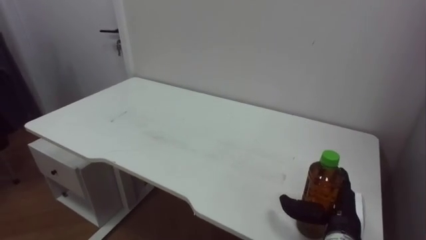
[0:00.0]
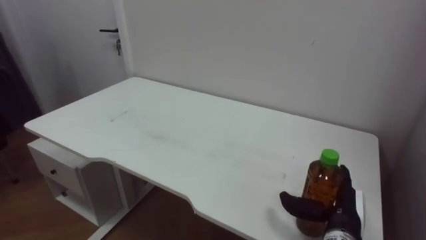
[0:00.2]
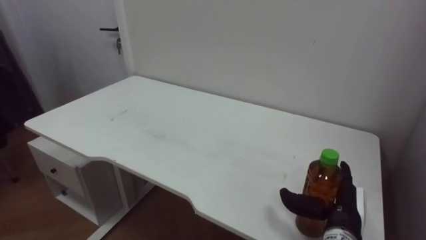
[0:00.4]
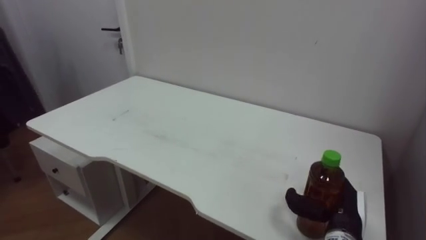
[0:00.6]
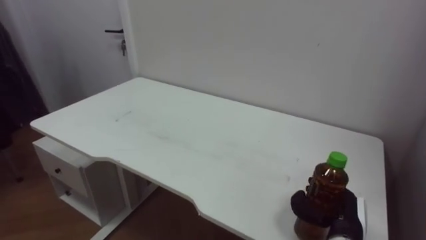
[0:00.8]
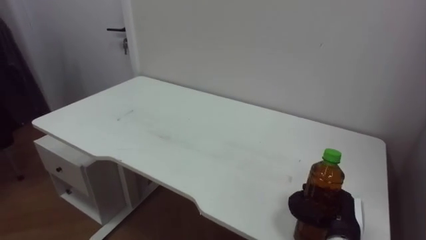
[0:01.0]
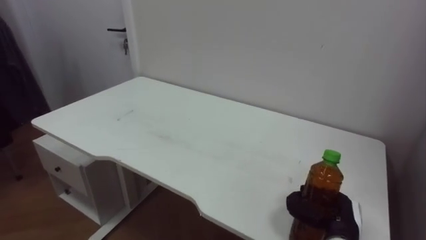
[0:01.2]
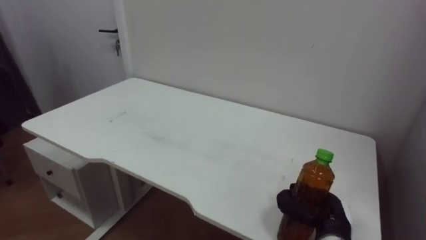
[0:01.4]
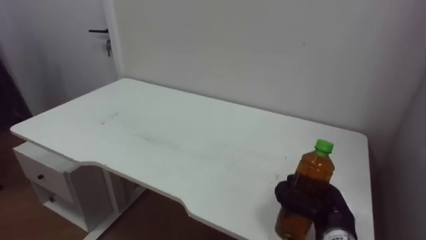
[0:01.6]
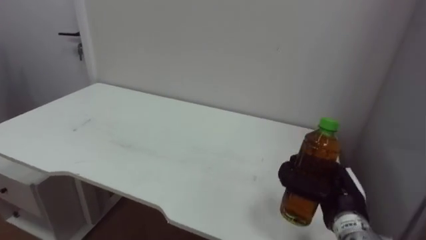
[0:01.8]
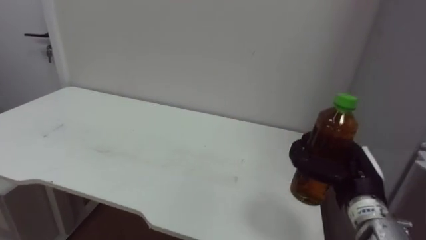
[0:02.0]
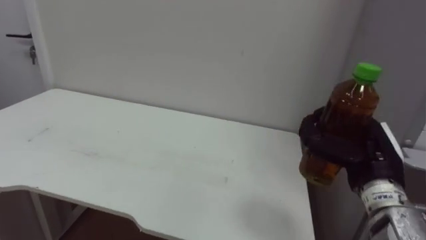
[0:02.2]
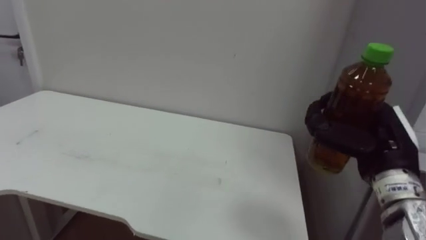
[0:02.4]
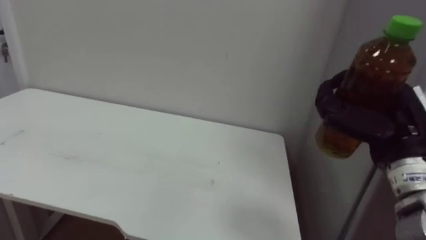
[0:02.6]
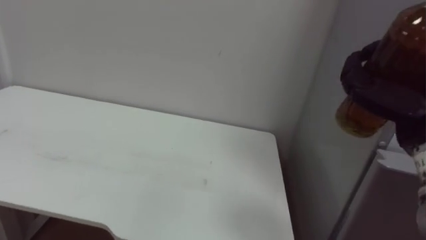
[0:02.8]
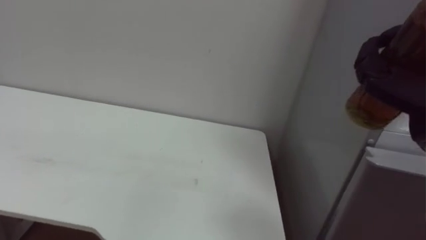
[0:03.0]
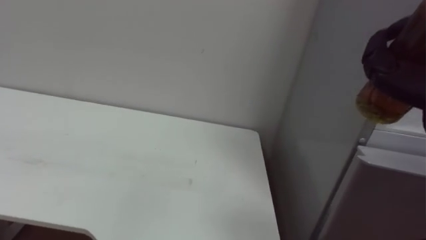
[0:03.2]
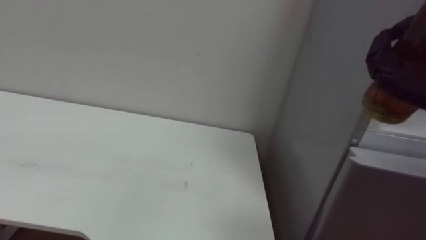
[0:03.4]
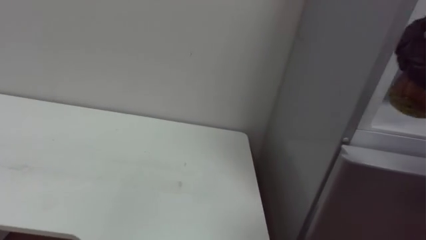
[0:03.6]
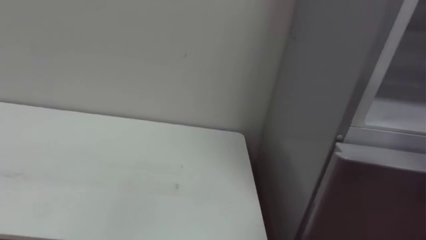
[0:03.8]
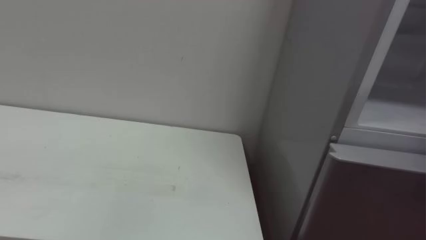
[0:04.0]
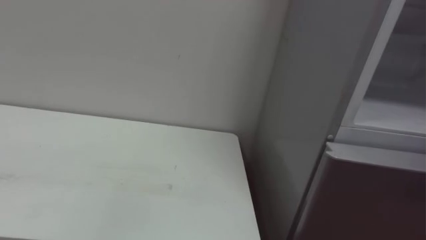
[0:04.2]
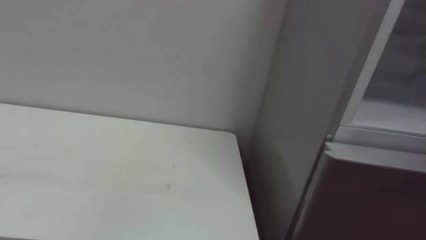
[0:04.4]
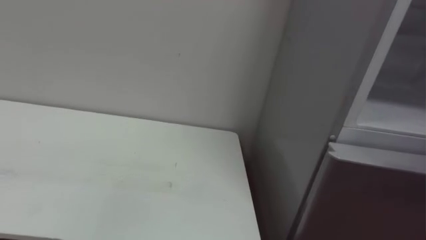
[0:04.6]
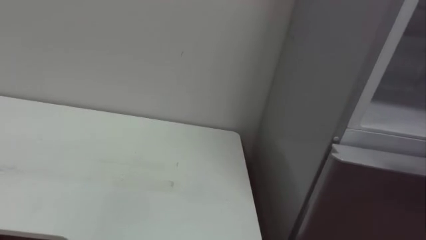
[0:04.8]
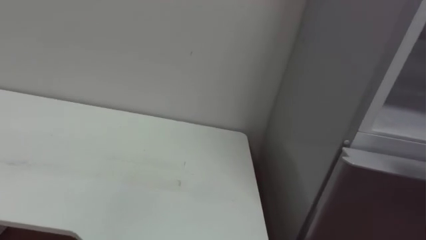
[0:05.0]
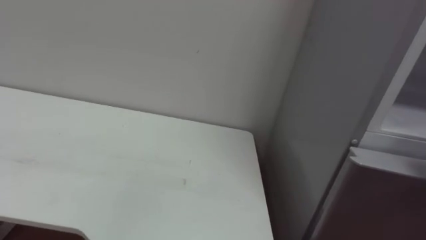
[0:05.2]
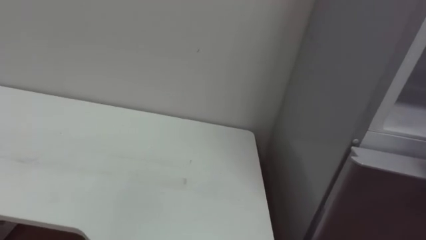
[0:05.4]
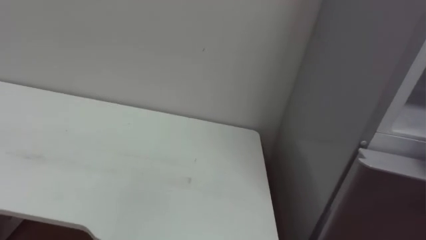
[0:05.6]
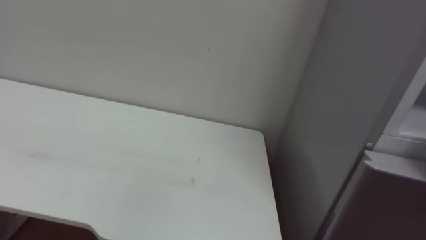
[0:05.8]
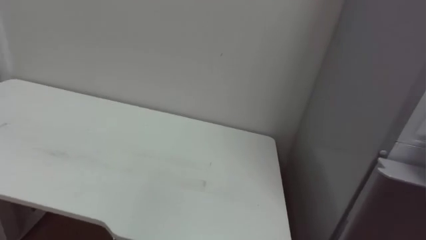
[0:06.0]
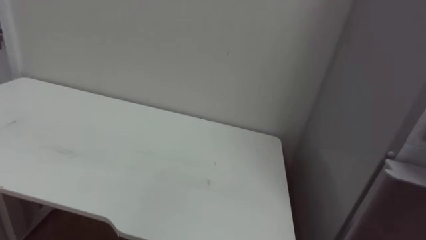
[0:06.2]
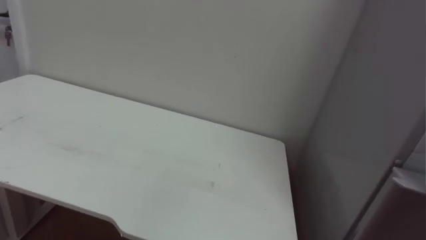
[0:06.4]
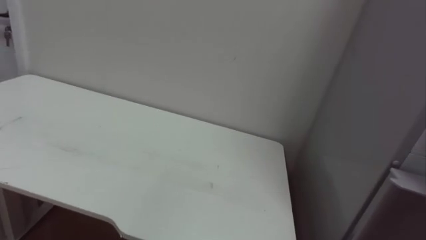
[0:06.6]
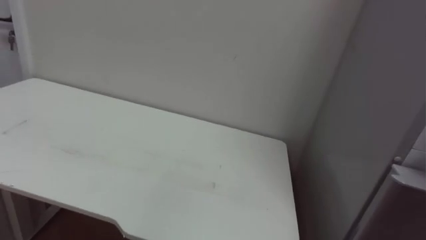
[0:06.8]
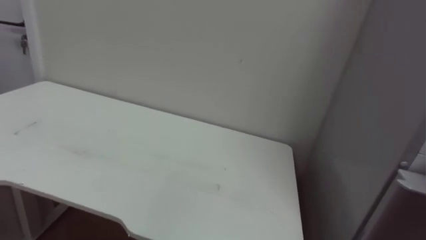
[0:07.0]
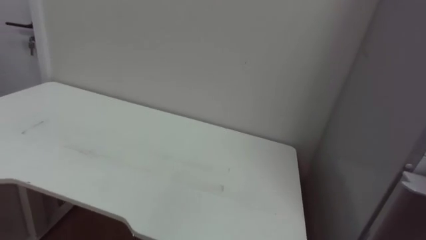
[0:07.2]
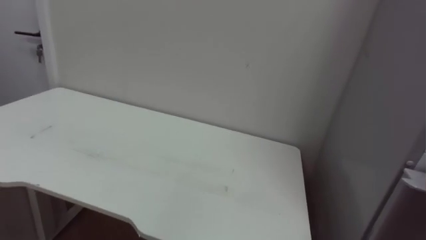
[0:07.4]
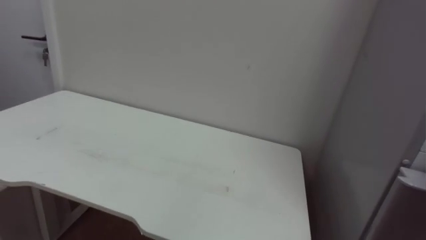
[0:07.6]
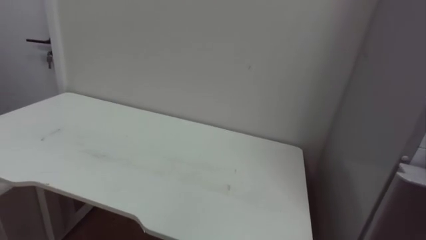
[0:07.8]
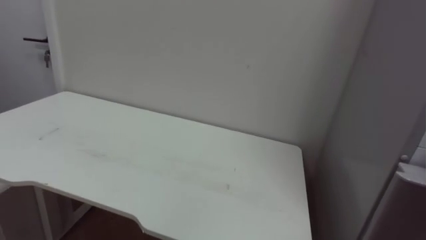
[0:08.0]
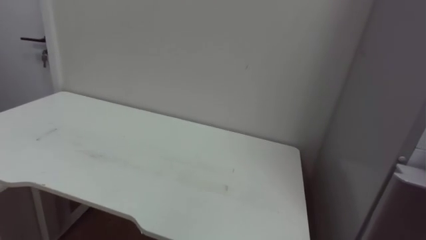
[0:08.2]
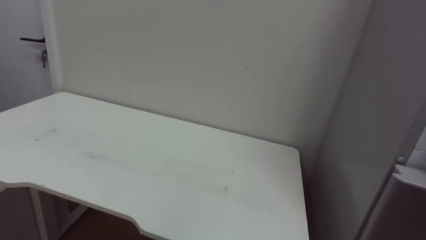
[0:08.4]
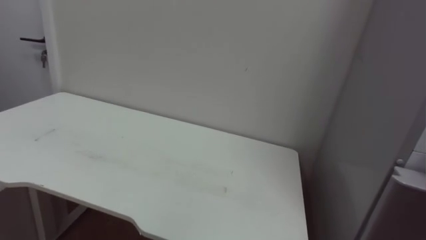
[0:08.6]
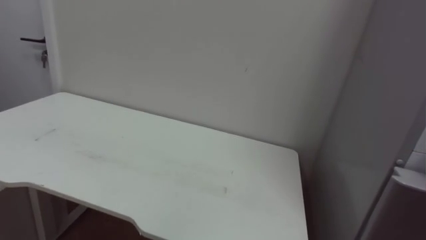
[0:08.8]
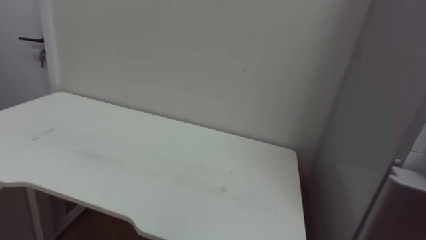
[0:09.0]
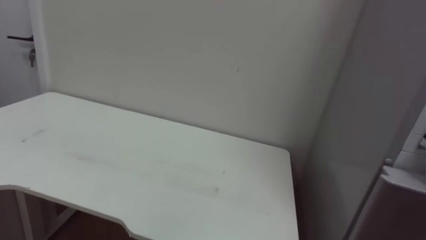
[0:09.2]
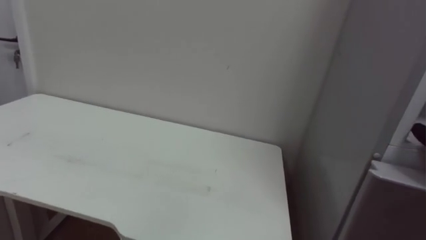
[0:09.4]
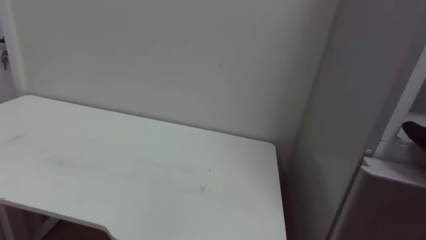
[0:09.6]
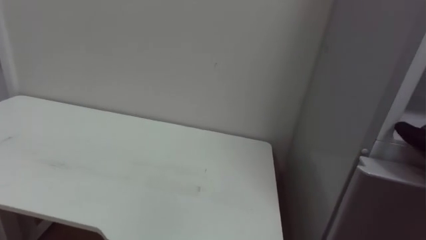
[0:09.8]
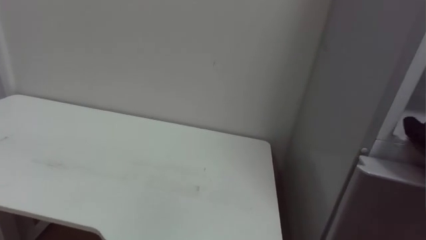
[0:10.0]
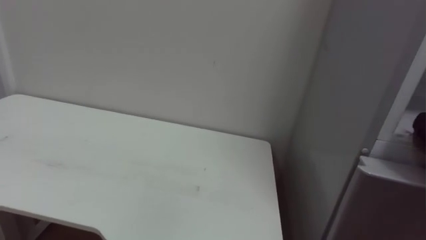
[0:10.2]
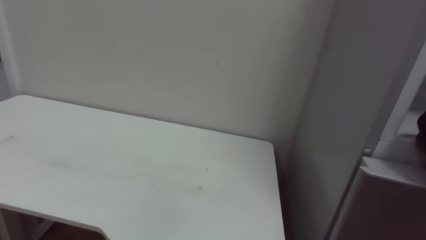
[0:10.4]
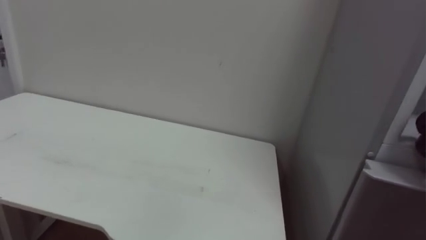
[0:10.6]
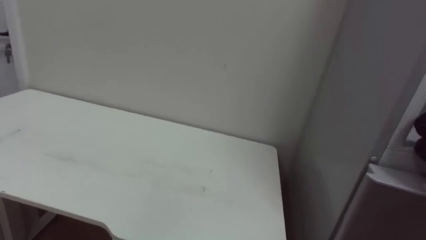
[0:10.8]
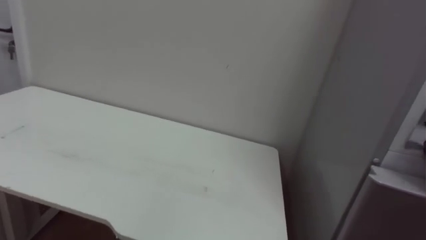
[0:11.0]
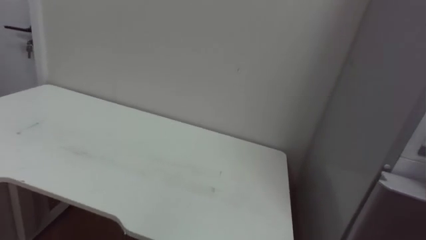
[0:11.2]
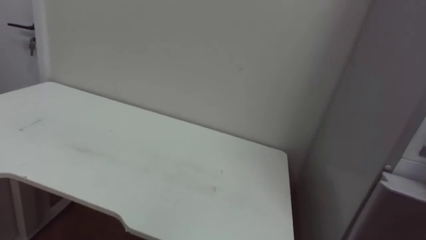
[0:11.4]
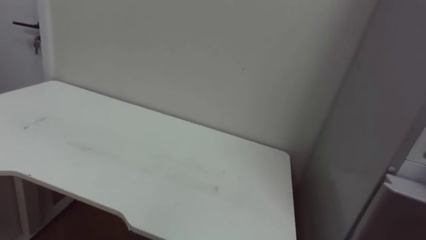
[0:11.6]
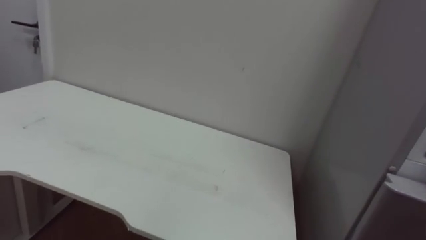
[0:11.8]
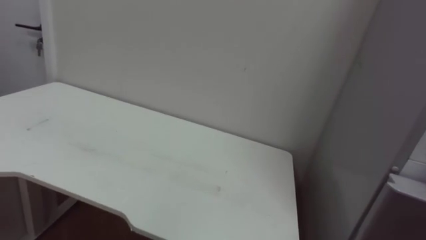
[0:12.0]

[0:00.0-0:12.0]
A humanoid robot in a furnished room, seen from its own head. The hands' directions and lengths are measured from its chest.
Task of the whole recording: Open the upper refrigerator door, put the drink from the table into the refrigerator, and then close the refrigerator door.
0:00.0 to 0:01.6: The right hand closes.

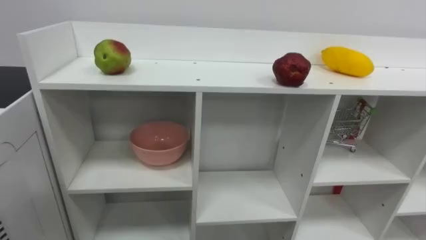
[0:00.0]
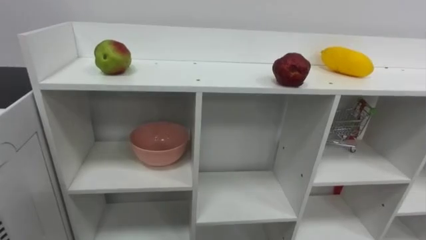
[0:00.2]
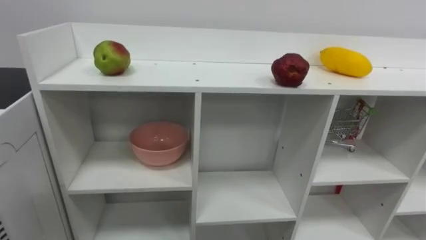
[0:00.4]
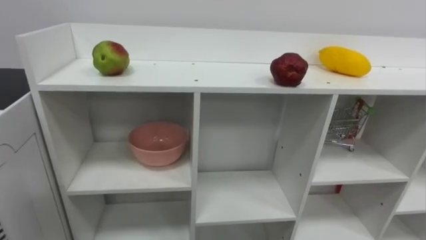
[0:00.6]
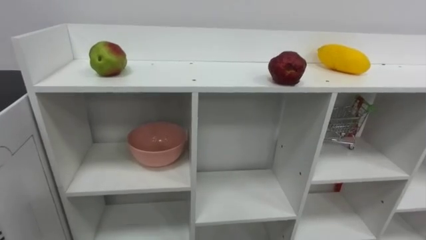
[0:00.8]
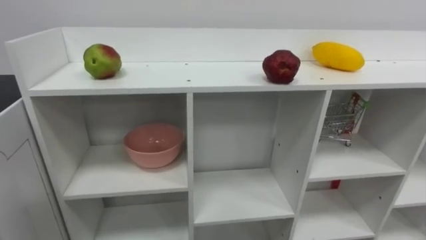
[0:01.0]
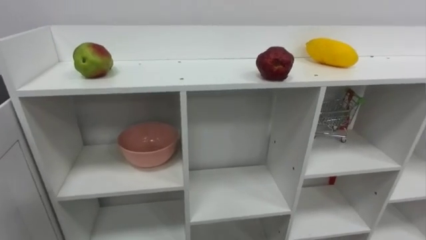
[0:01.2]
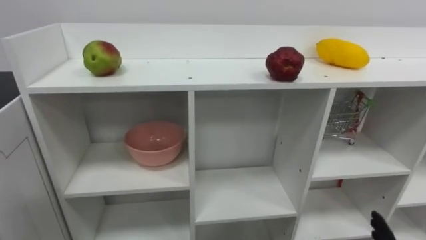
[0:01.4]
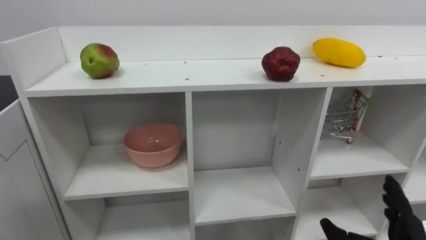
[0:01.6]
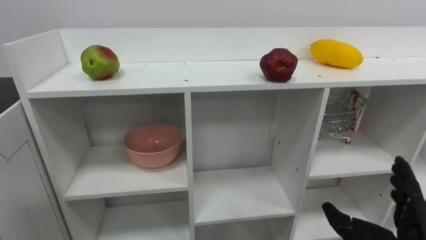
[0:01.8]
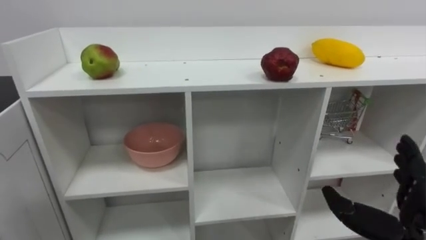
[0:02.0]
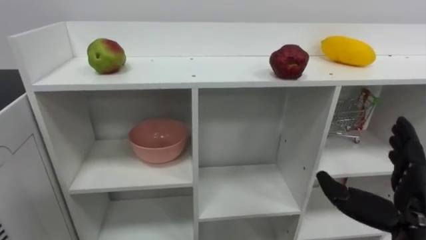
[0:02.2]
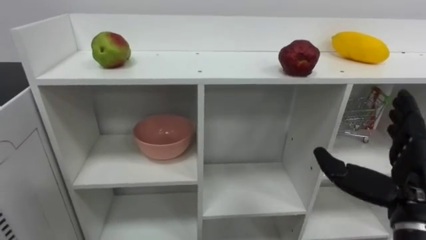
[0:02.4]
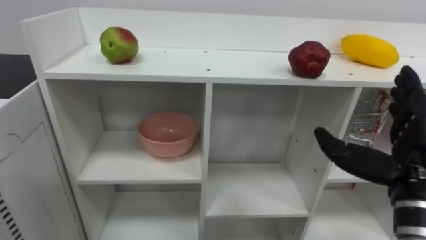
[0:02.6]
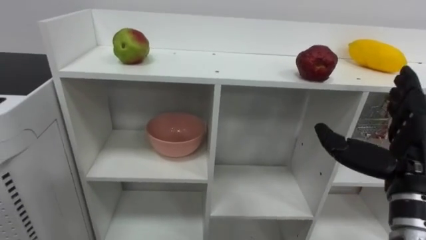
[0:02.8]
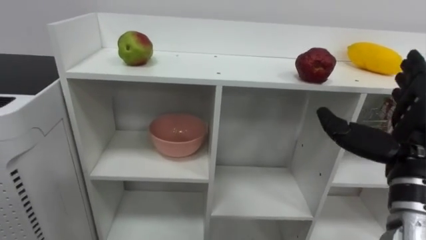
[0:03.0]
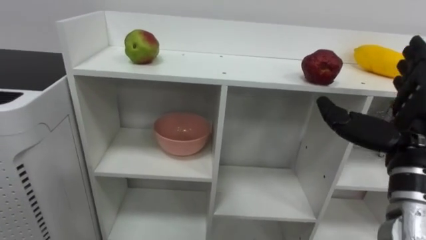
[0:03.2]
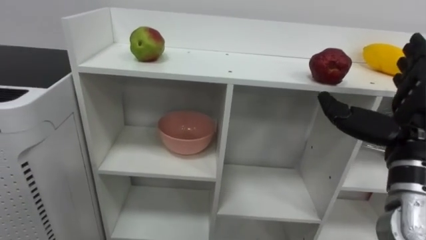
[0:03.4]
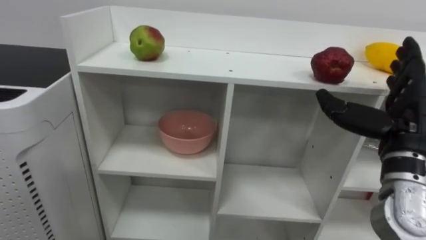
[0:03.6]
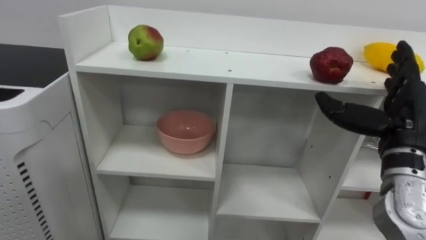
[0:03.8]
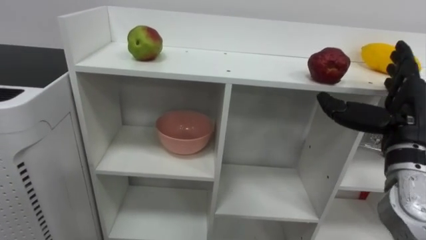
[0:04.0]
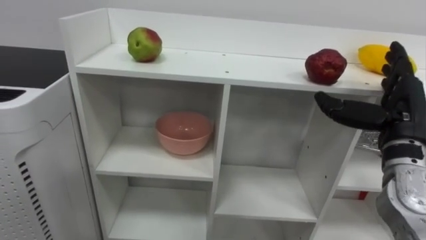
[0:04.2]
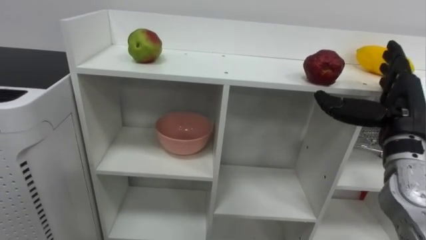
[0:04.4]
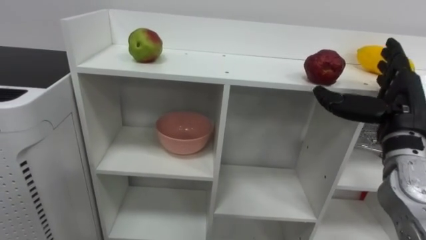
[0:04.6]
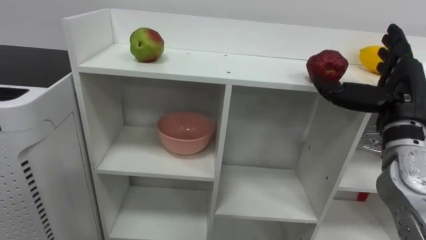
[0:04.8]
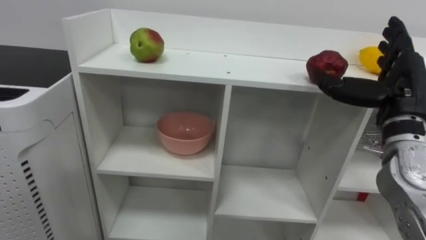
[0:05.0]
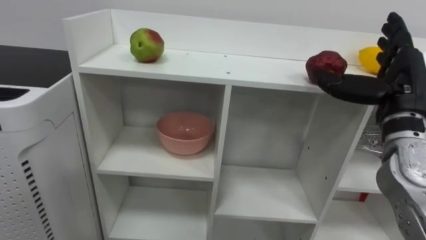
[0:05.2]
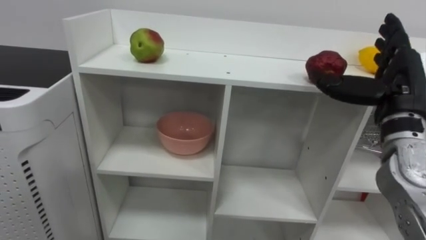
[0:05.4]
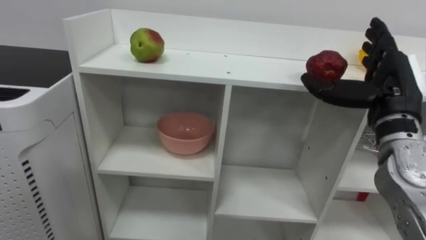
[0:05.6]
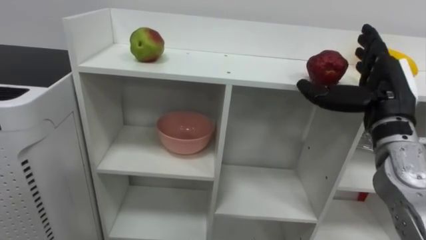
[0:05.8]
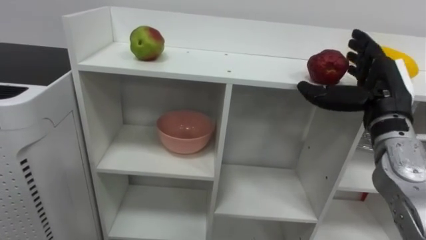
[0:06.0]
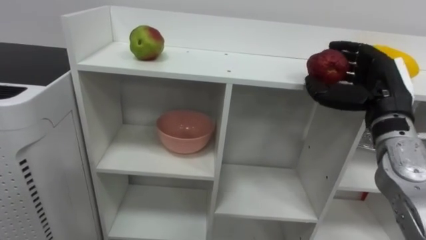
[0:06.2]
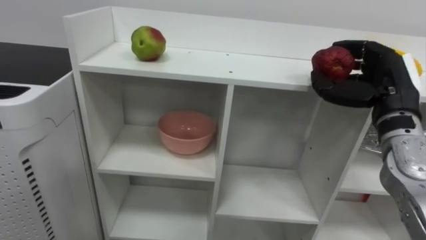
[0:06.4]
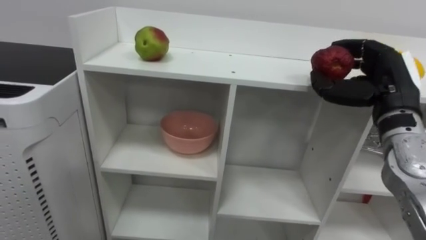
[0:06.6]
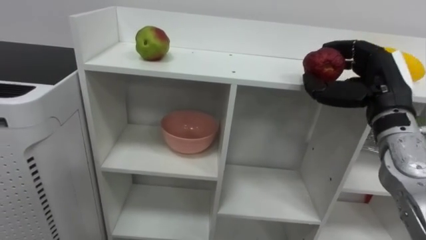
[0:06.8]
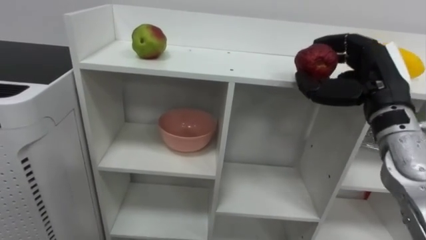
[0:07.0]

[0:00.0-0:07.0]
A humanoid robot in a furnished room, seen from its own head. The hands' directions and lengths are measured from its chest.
Task of the whole recording: Put the apple in the cell in the second column from the left and the second row from the top.
0:02.8 to 0:04.2: The right hand shifts approximately 5 cm forward.
0:05.6 to 0:07.0: The right hand closes its fingers.
